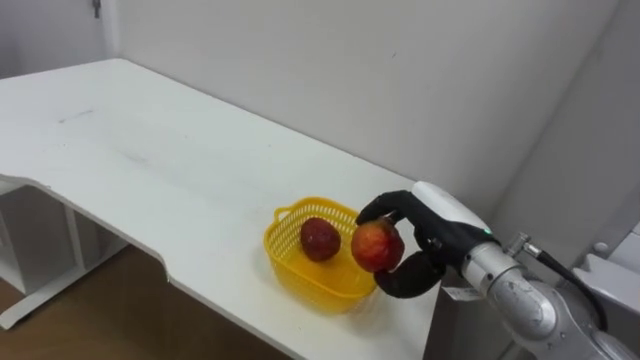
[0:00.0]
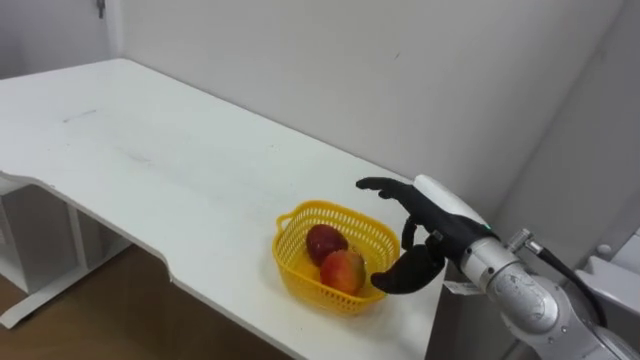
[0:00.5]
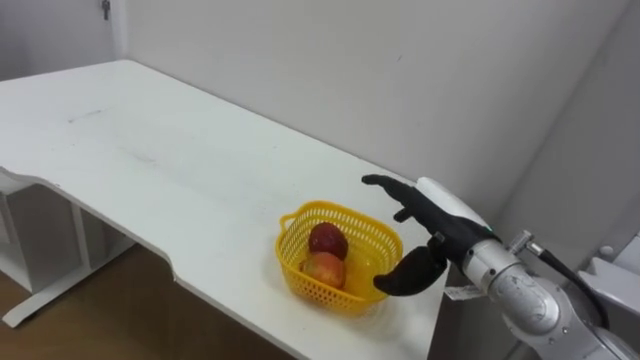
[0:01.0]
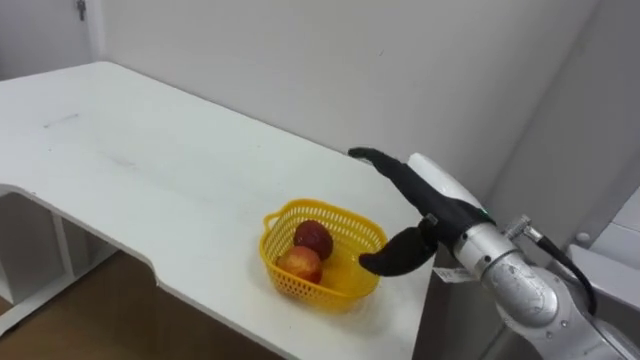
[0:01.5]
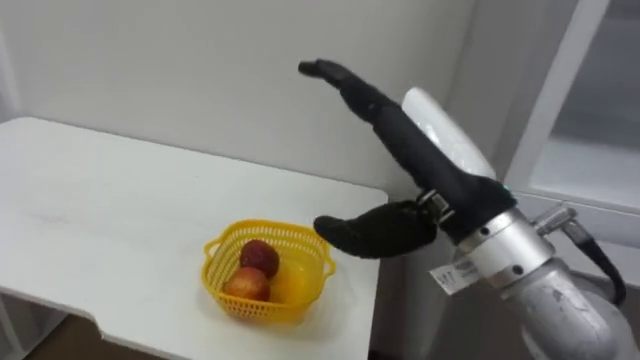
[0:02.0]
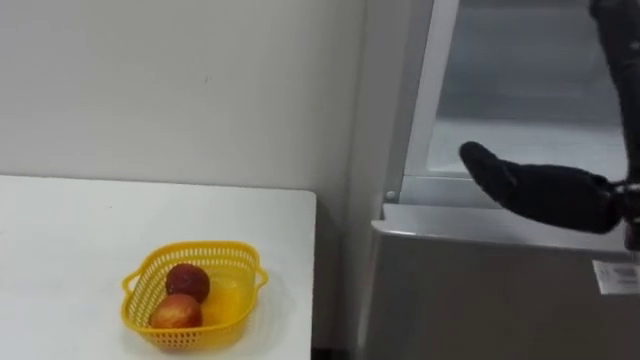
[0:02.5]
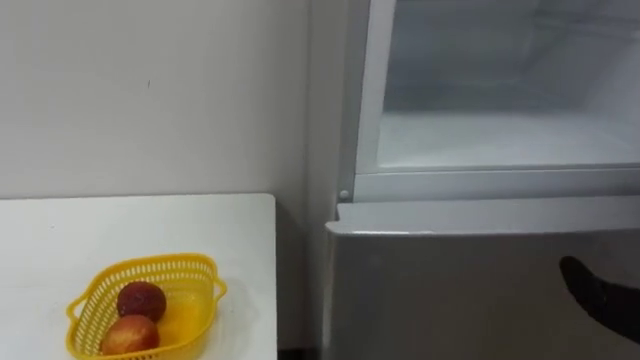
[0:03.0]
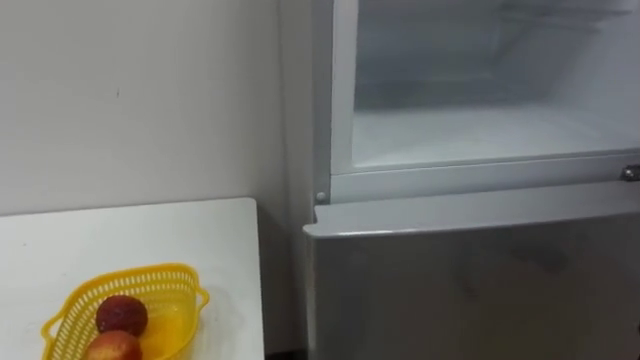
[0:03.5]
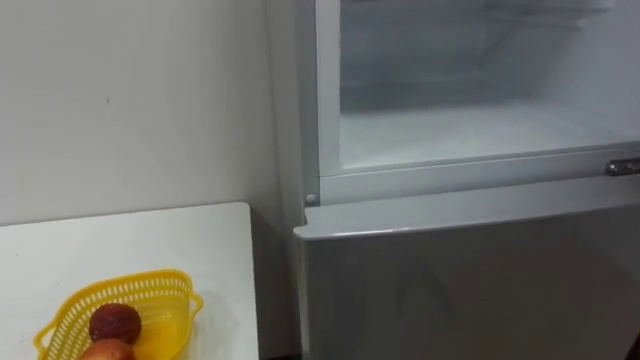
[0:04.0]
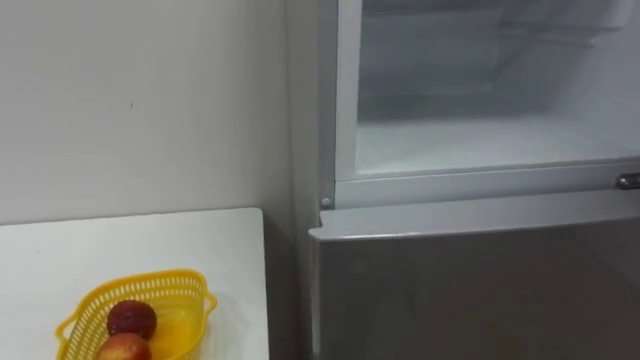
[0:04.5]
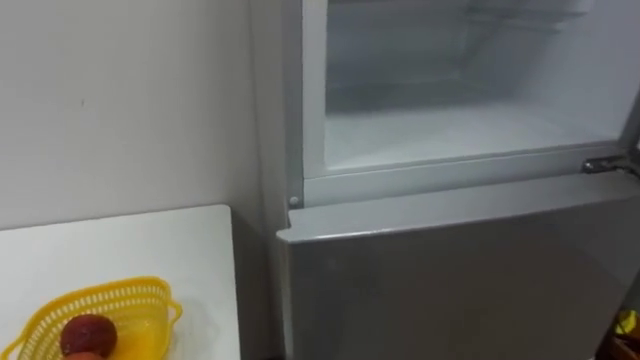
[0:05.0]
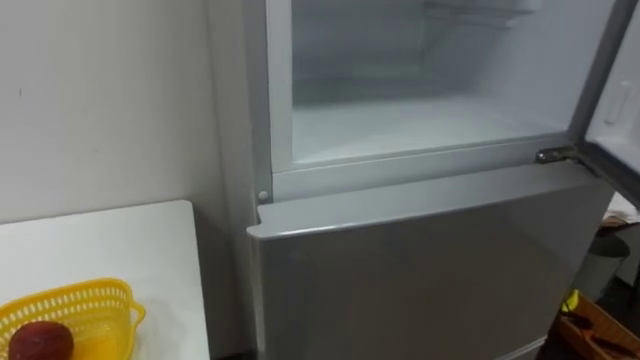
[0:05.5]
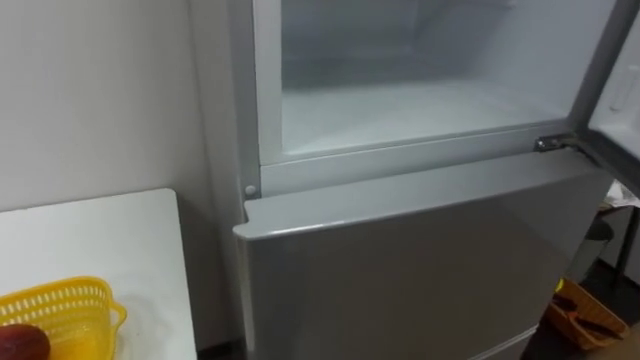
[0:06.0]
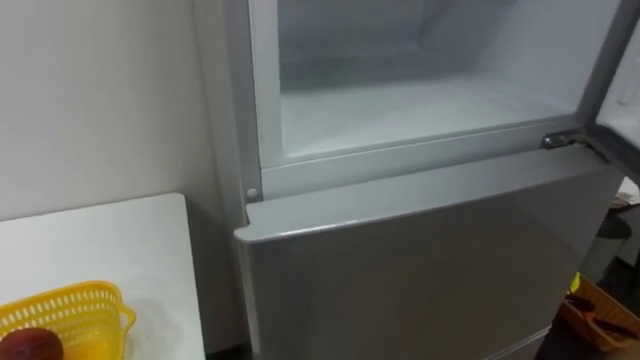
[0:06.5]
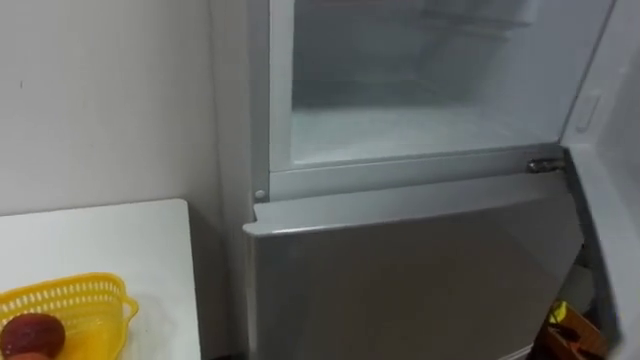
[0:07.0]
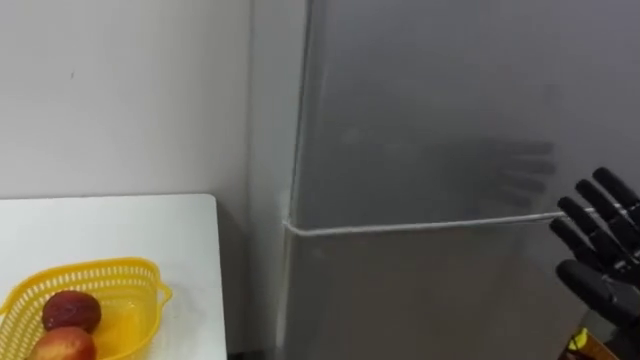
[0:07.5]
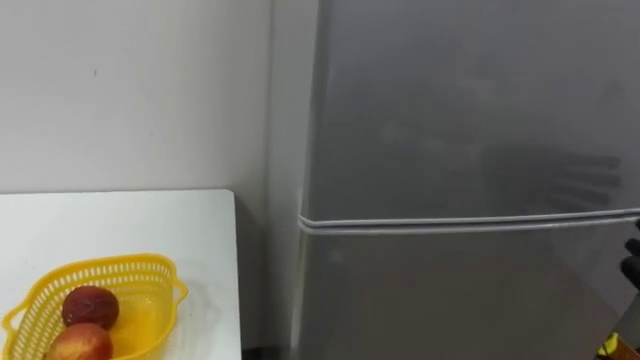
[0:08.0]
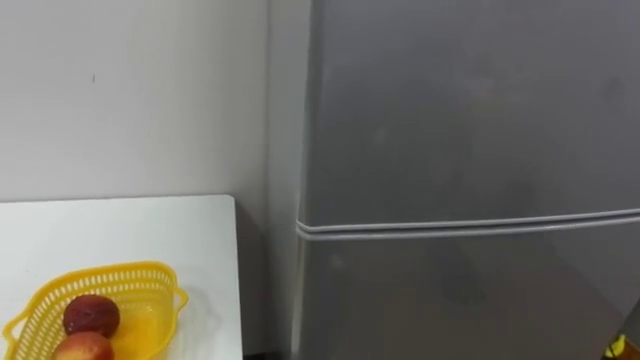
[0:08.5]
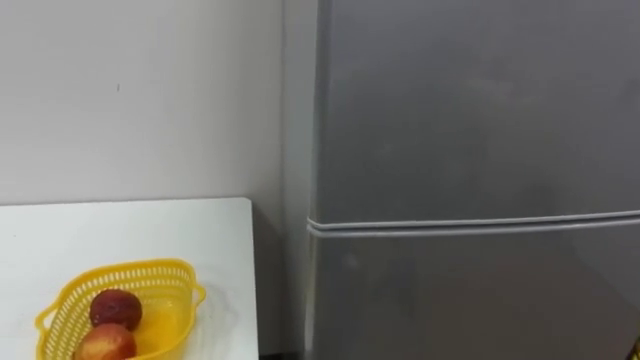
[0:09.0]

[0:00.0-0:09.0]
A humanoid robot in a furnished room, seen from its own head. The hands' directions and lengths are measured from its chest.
Task of the whole recording: Open the refrigerator door, take out the apple and the pomegranate, place them in the fruit basket on the left, and close the refrigerator door.
0:00.0 to 0:02.0: The right hand moves upward and backward, about 15 cm, and opens.

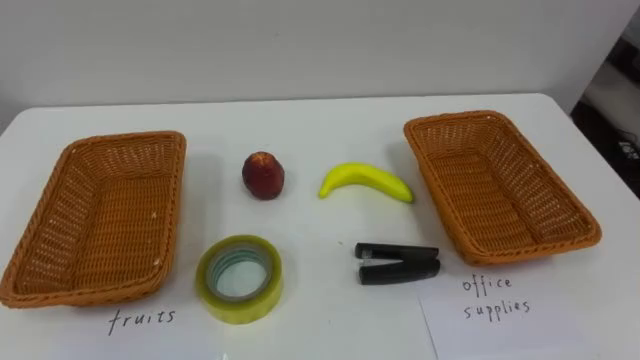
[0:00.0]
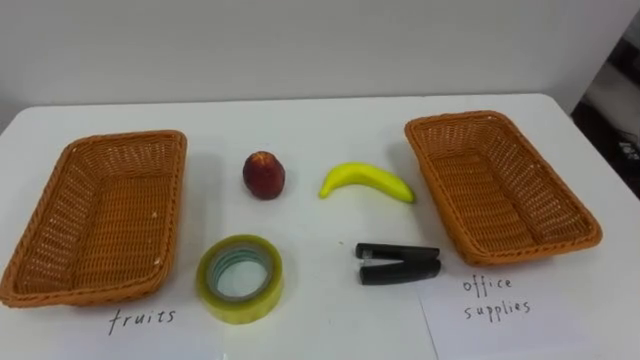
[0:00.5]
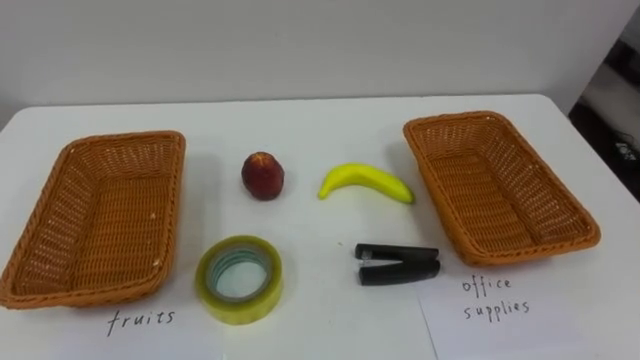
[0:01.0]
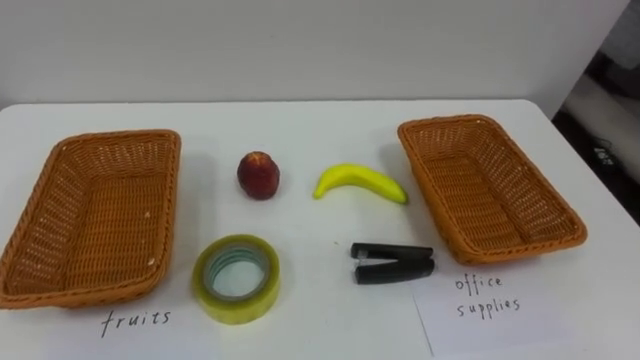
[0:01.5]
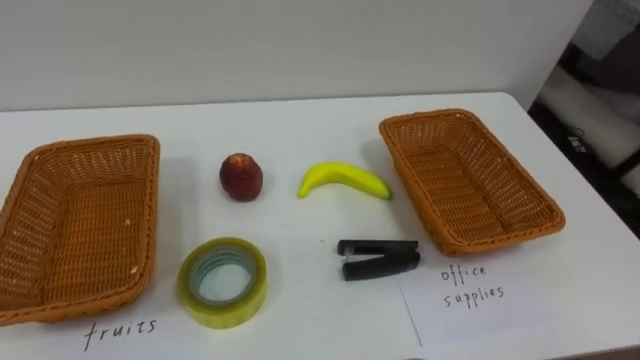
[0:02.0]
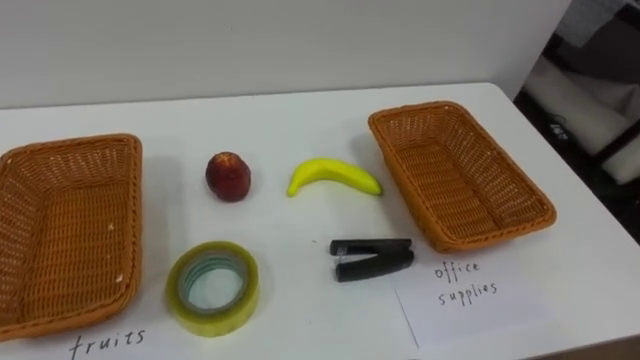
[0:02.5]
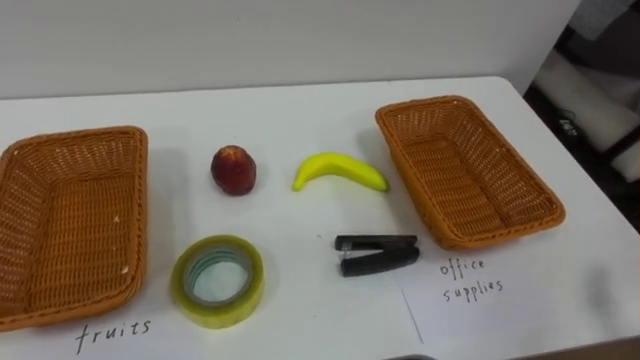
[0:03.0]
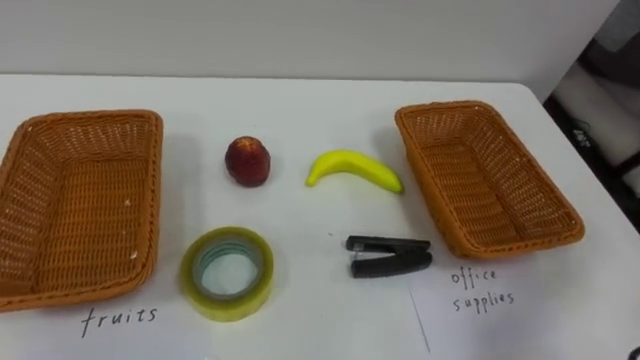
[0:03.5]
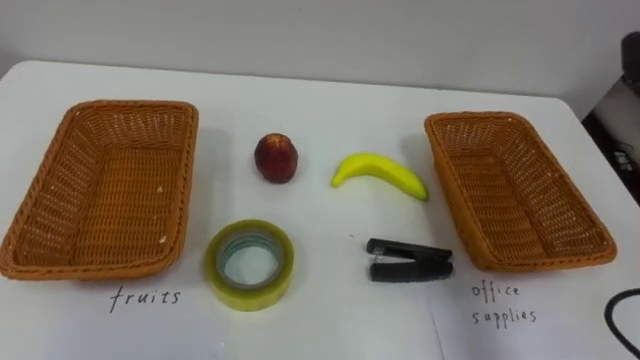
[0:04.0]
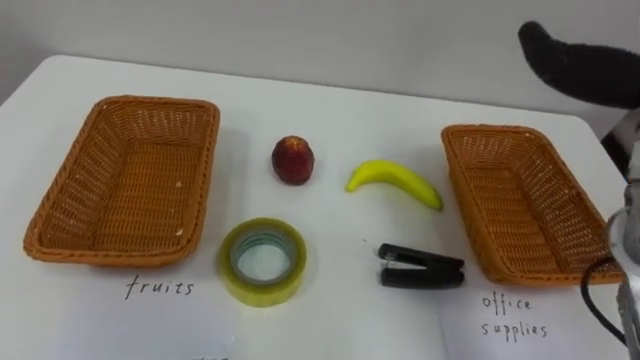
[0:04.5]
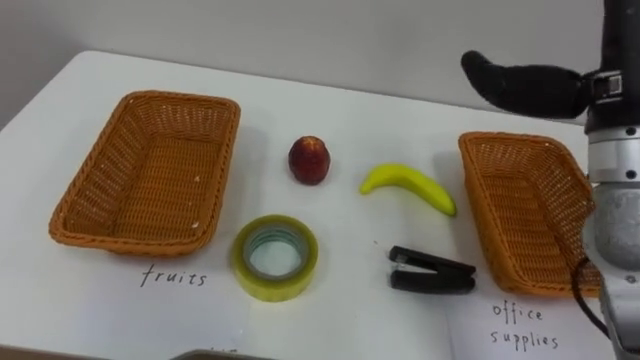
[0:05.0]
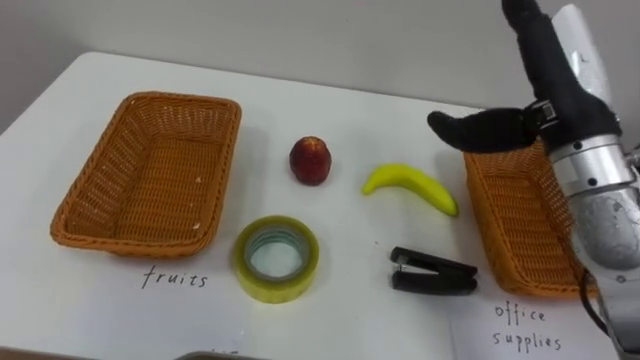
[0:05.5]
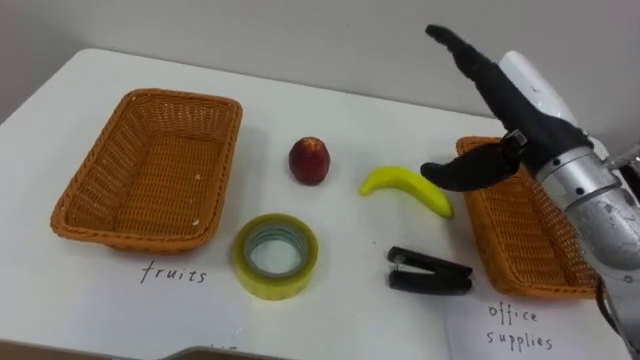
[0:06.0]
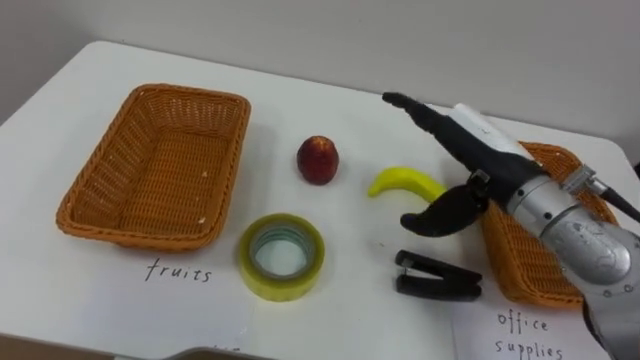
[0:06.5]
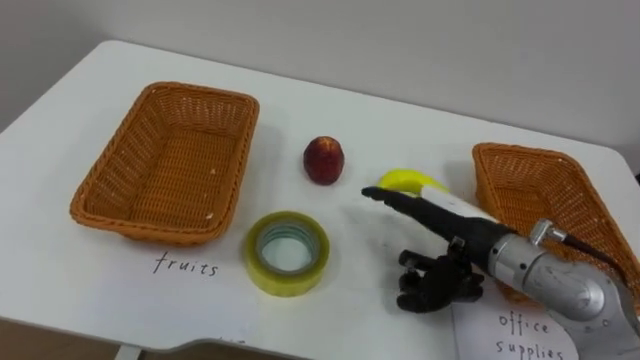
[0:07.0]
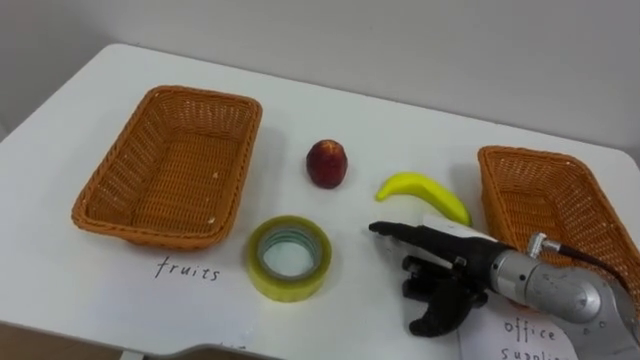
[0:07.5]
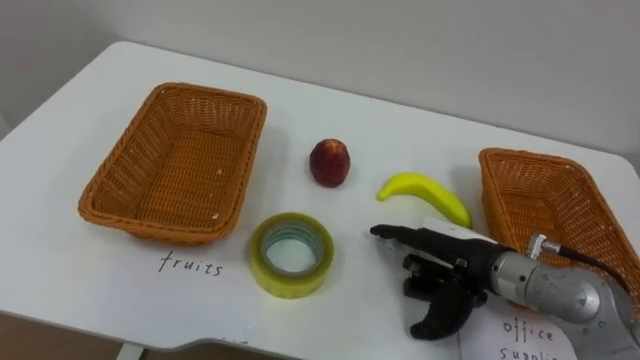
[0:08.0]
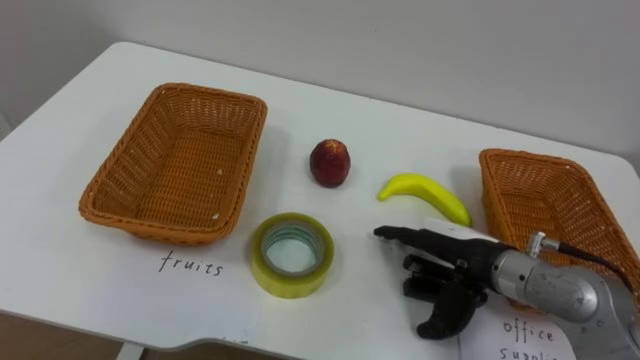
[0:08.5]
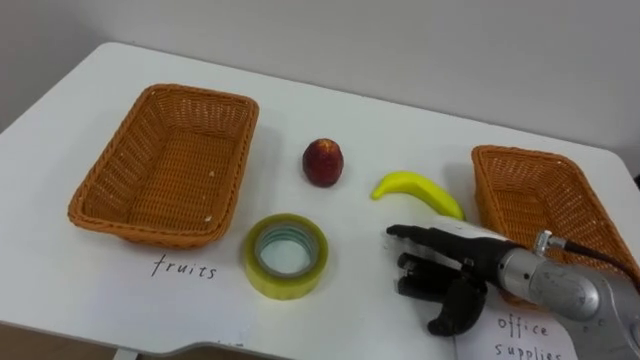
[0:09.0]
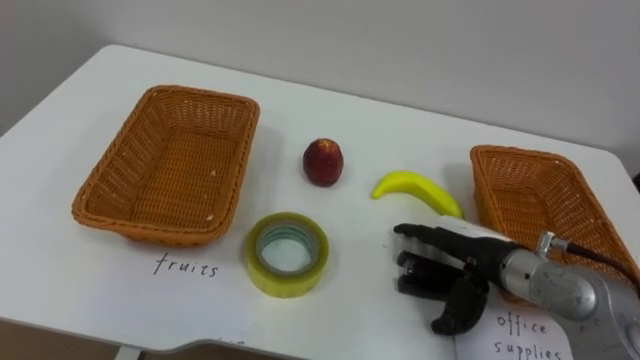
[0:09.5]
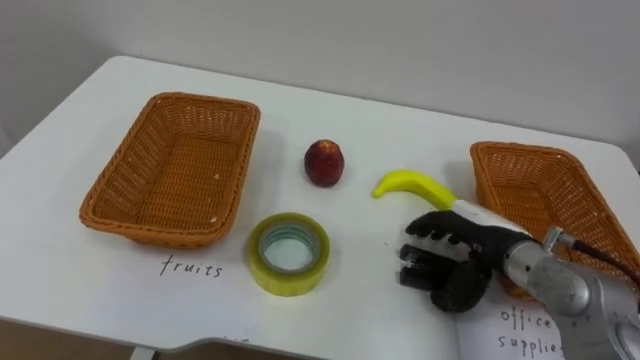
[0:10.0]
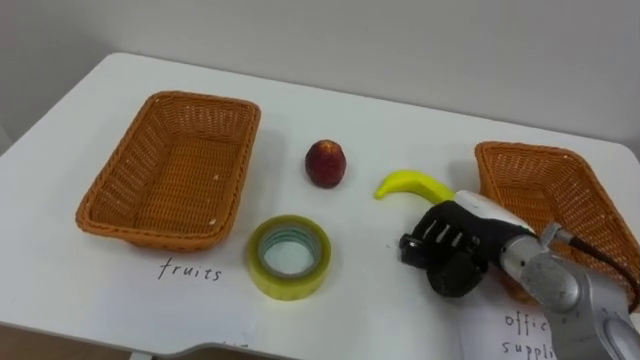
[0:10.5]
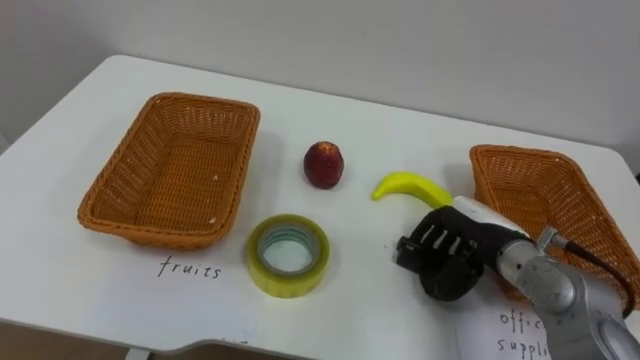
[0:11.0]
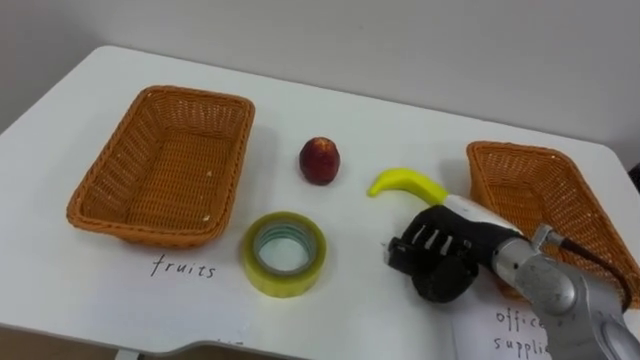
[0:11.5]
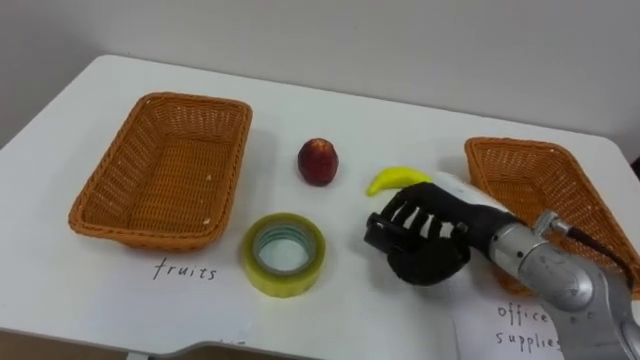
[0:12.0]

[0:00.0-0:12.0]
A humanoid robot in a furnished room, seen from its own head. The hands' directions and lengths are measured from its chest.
Task of the whole recording: Separate the items on the table and place them into the two baskets.
0:06.0 to 0:08.0: The right hand travels downward by approximately 15 cm.
0:10.0 to 0:12.0: The right hand moves roughly 5 cm, and closes up.
